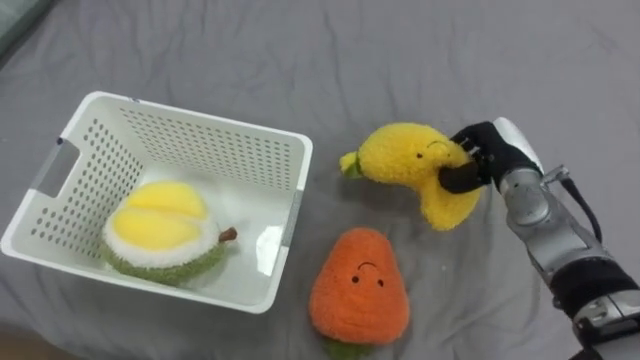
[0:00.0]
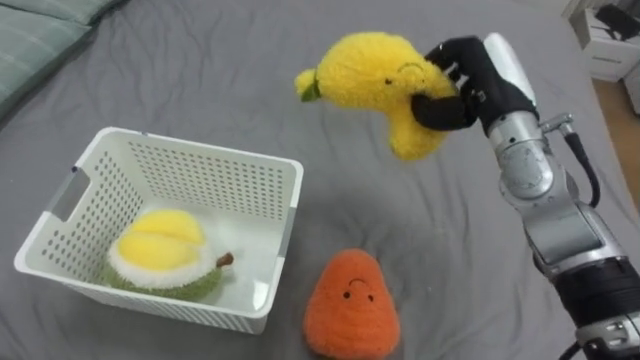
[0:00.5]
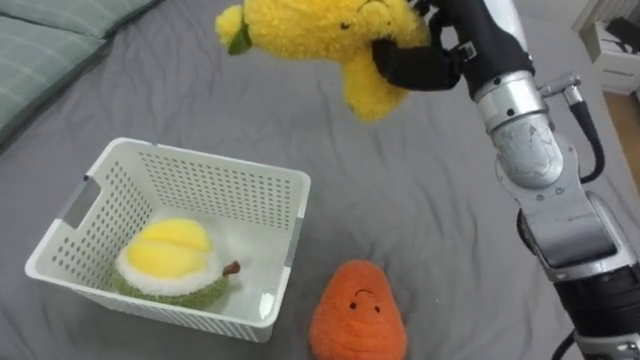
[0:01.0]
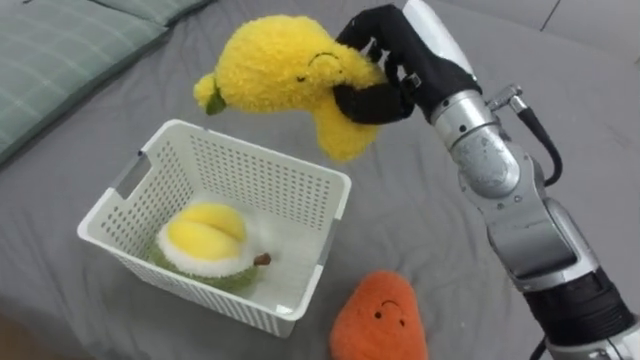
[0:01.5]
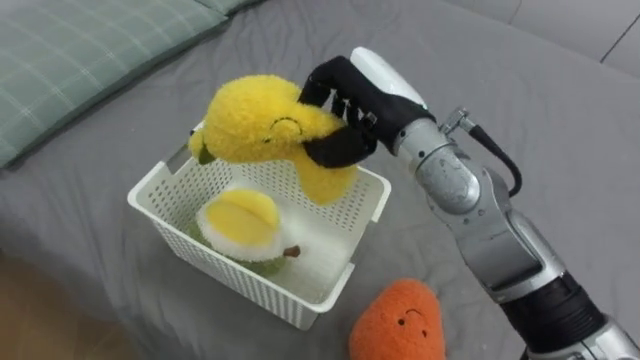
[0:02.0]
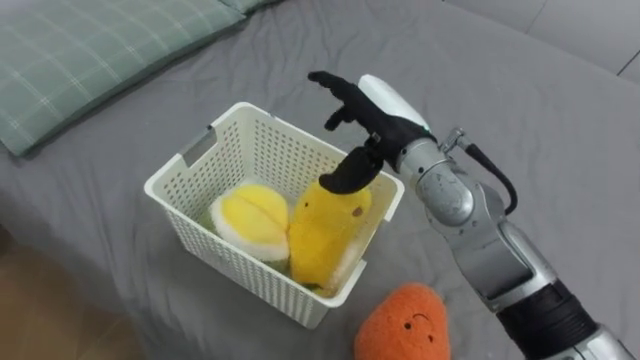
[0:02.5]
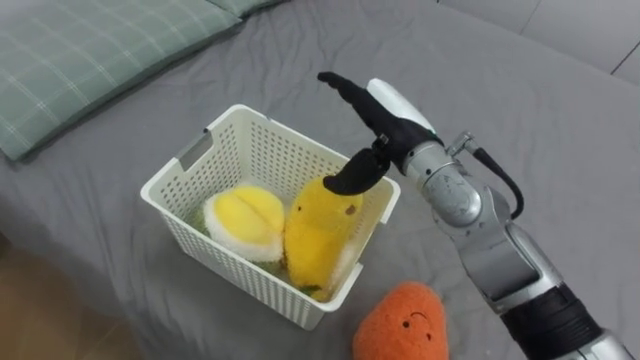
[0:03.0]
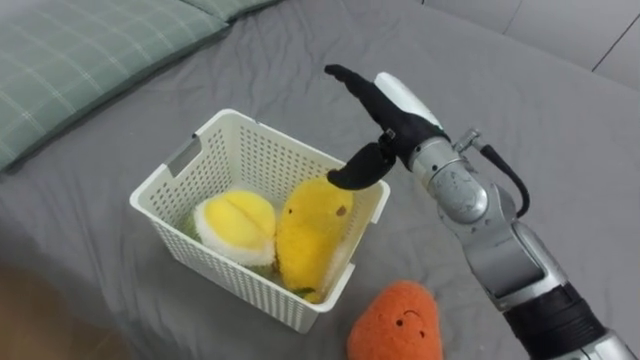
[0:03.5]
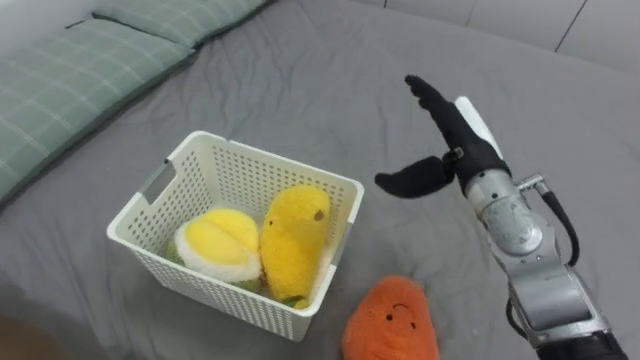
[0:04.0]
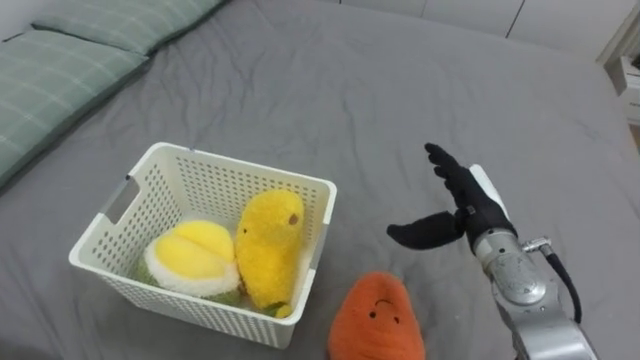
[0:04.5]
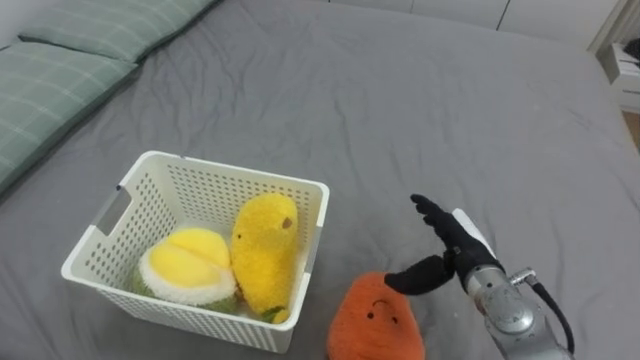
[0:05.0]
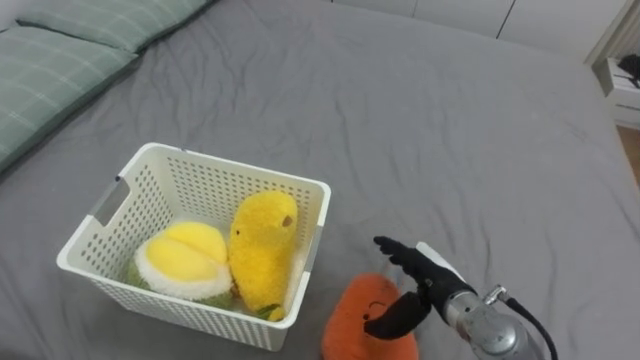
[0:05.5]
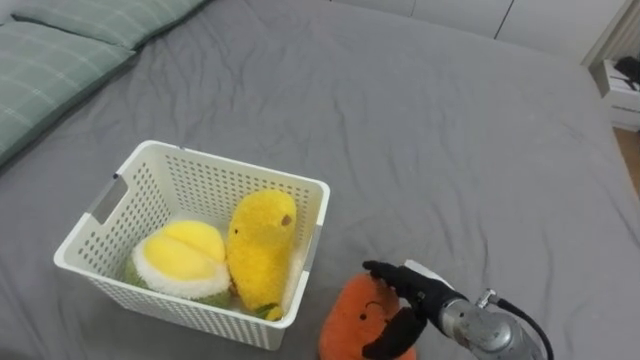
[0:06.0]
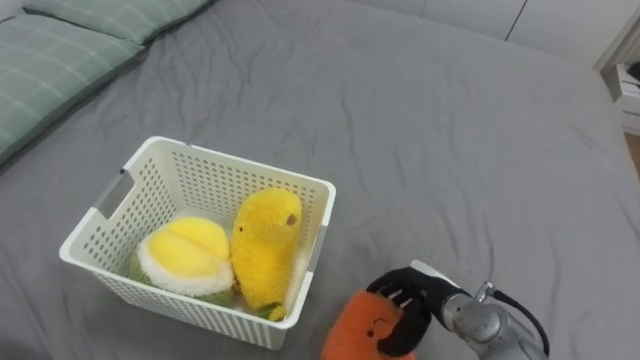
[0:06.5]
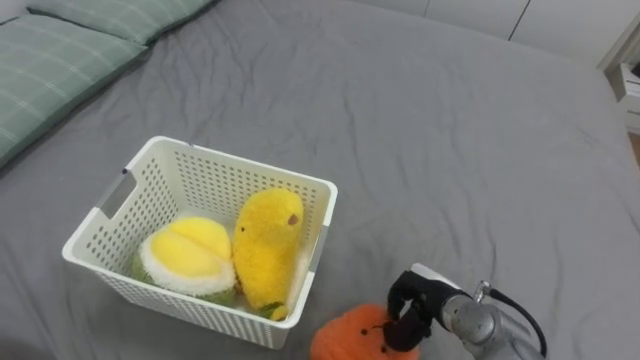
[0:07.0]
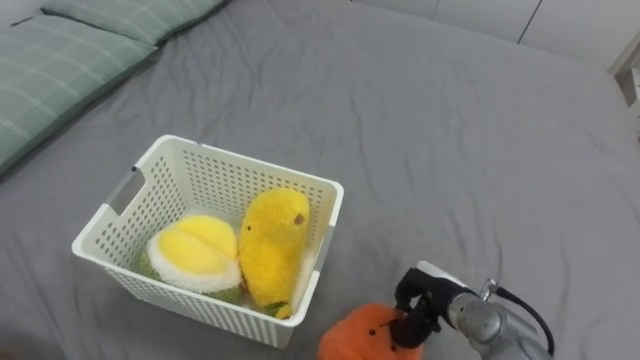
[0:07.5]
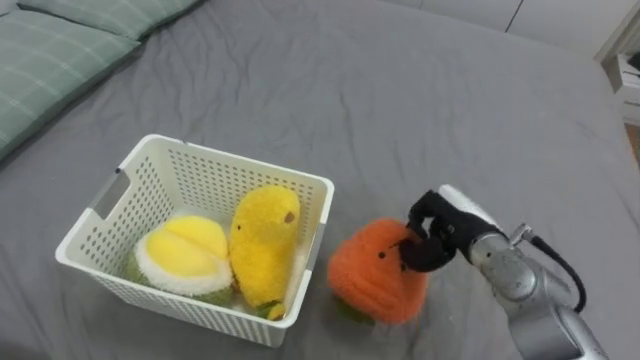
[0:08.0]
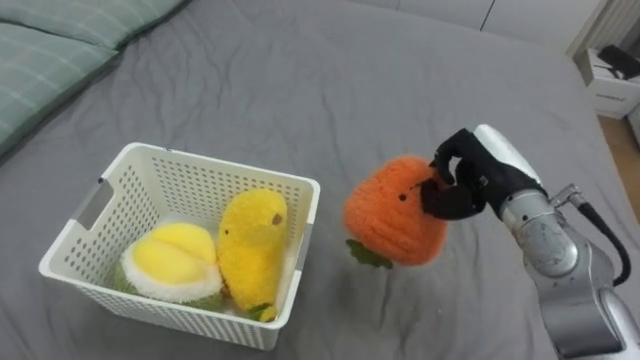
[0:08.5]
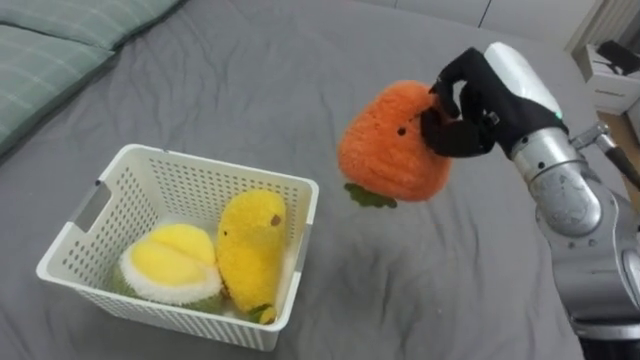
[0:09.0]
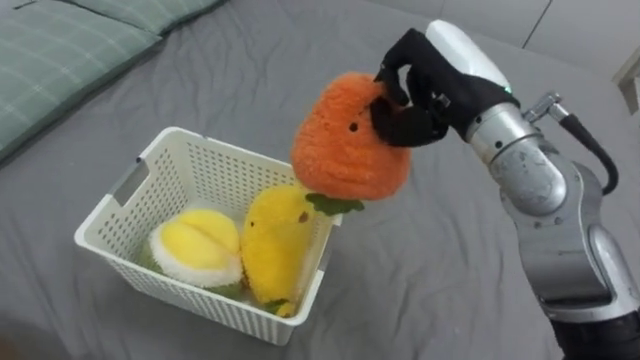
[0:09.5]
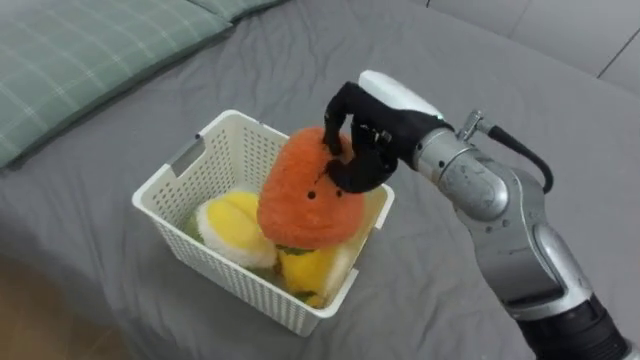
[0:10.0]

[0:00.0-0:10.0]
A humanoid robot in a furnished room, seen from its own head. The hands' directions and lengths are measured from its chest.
Task of the whole recording: Put the toys on the bed into the basket on the left.
0:00.0 to 0:02.0: The right hand shifts about 25 cm to the left and upward.
0:02.0 to 0:04.0: The right hand travels to the right and downward by approximately 15 cm, and opens up.
0:04.0 to 0:06.0: The right hand goes approximately 20 cm downward and backward.
0:06.0 to 0:08.0: The right hand is displaced upward and forward by approximately 10 cm, and closes up.
0:08.0 to 0:10.0: The right hand goes approximately 20 cm upward and to the left.

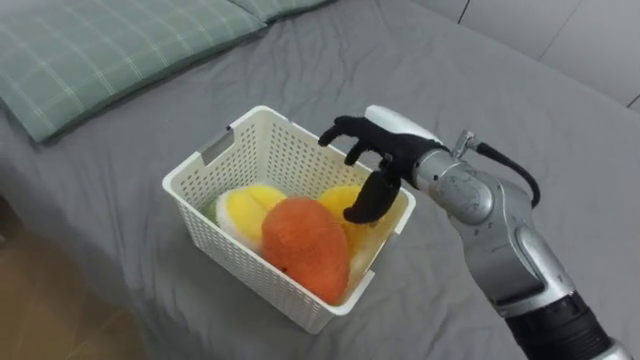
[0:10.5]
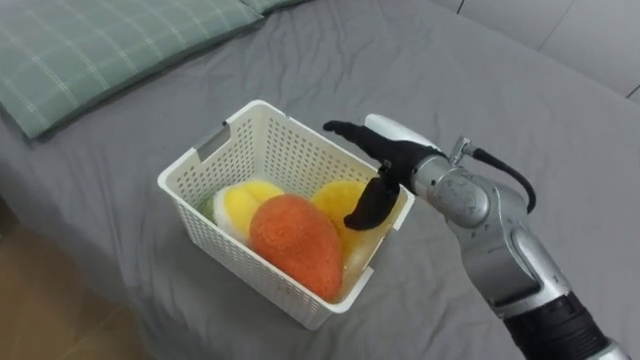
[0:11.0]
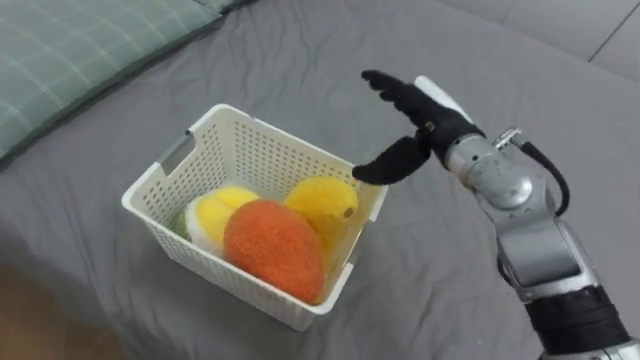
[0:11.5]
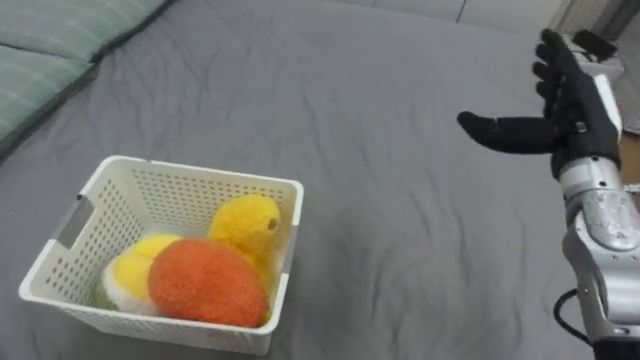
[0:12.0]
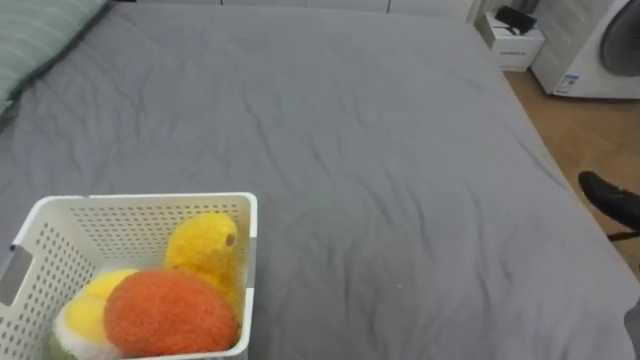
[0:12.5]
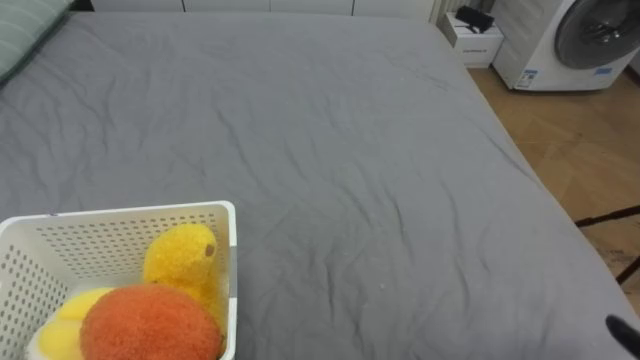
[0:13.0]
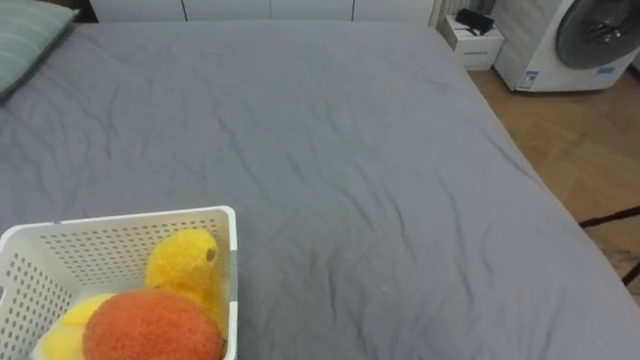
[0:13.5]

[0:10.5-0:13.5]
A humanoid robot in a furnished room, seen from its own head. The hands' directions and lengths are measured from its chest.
Task of the whole recording: Put the toys on the bed into the basket on the left.
0:10.5 to 0:12.0: The right hand goes some 20 cm to the right.

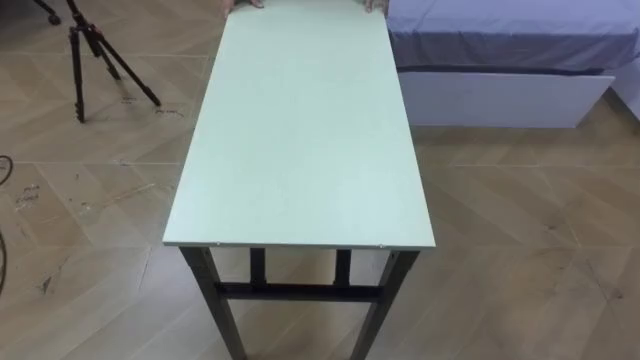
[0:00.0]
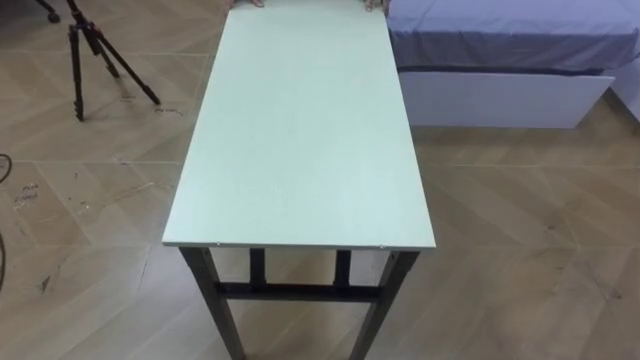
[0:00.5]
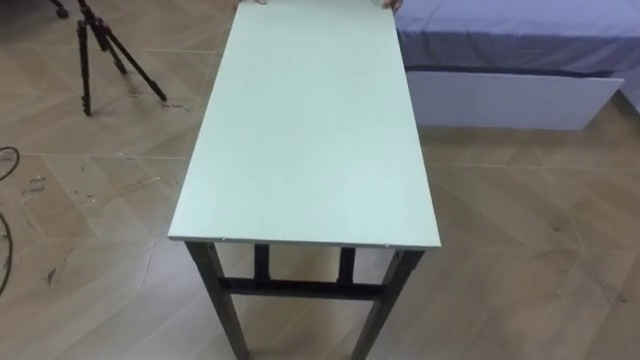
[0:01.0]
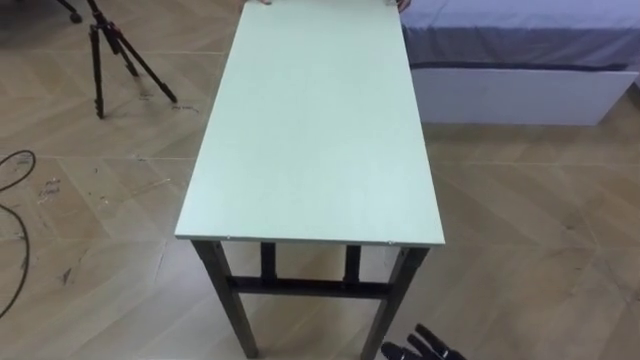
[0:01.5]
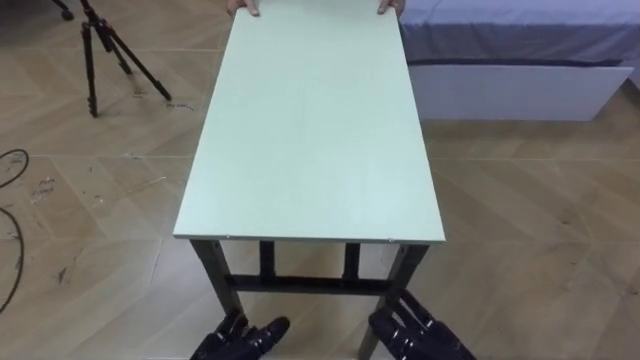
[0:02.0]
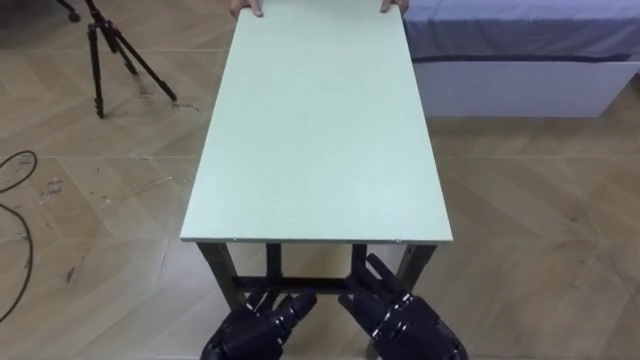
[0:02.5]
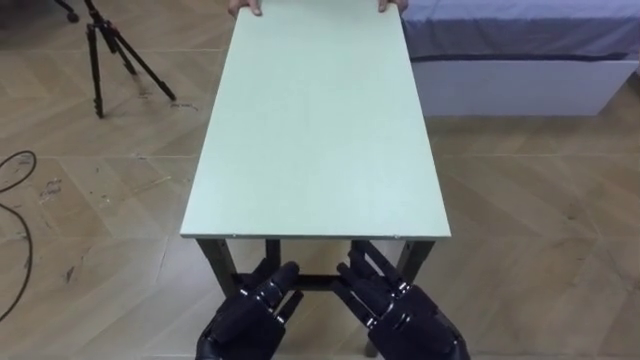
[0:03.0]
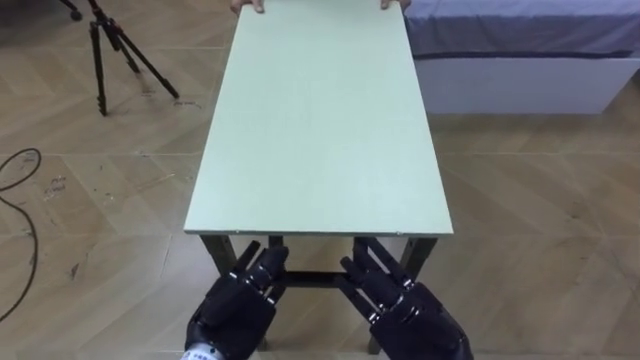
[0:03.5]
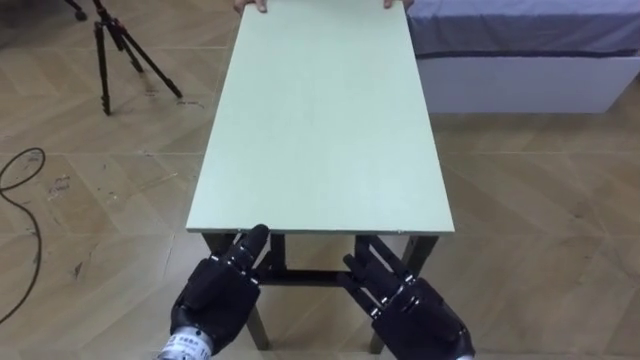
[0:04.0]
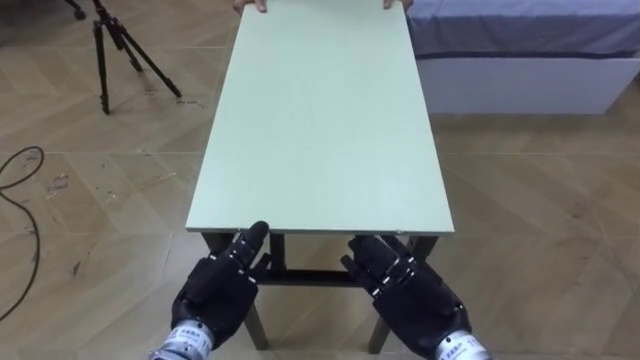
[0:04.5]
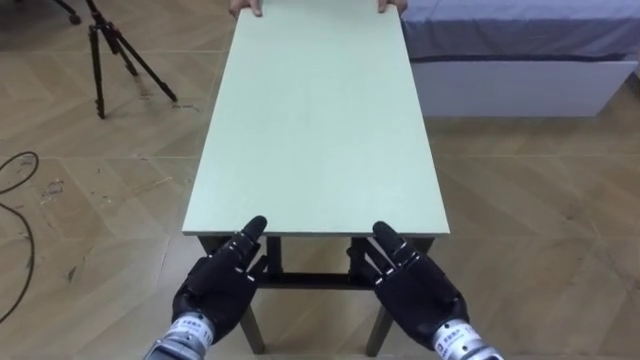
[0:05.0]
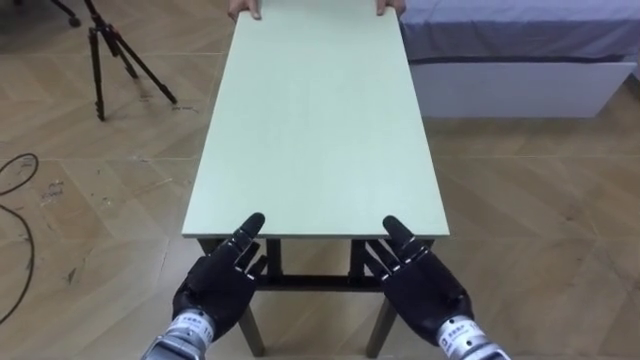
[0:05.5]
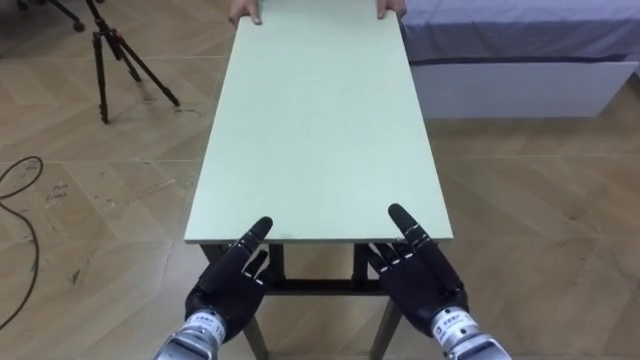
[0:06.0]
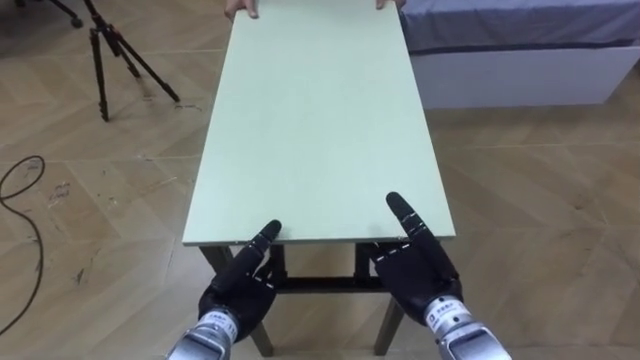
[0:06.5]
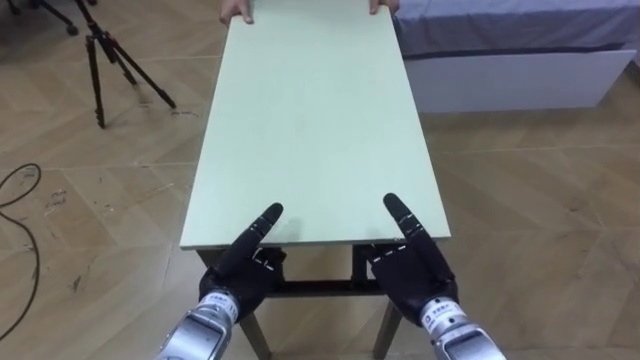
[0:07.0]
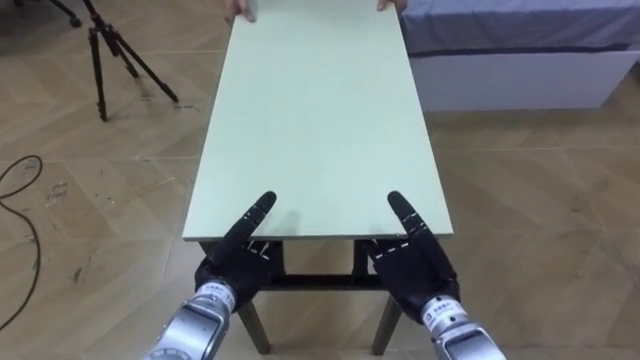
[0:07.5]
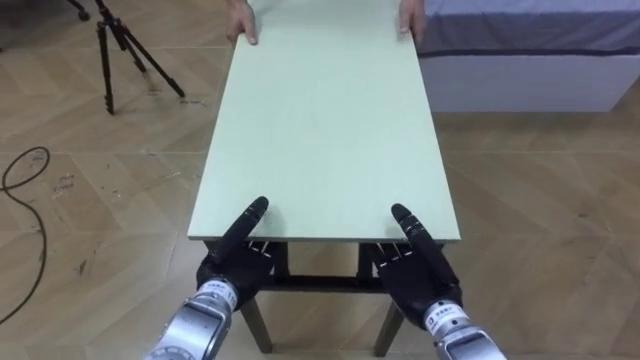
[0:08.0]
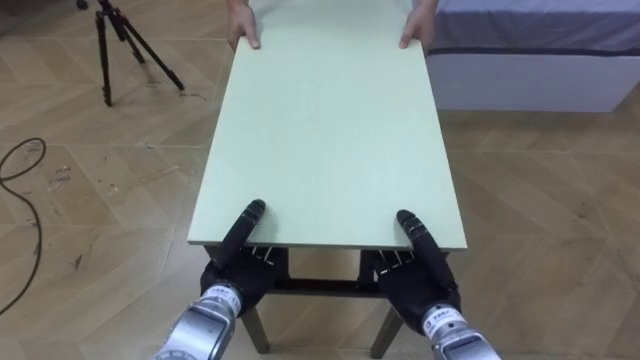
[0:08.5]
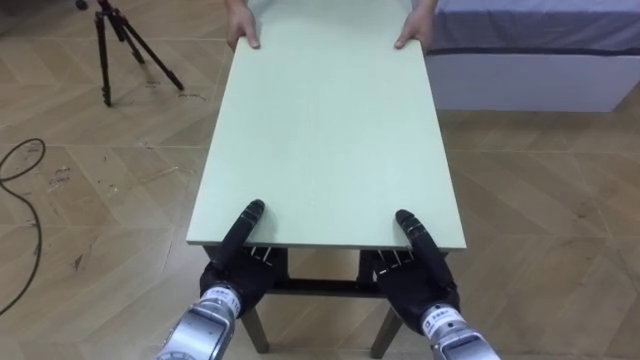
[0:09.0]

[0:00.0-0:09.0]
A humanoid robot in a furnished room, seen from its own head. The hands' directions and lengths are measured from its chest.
Task of the whole recording: Move the table to the back left with someone.
0:02.0 to 0:04.5: The right hand is displaced upward and forward by some 10 cm.
0:07.0 to 0:09.0: The left hand closes its fingers, while the right hand closes up.
